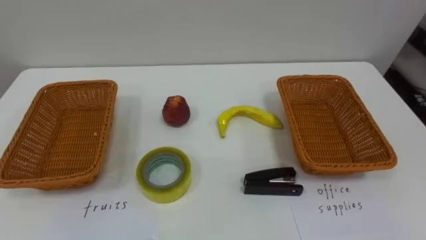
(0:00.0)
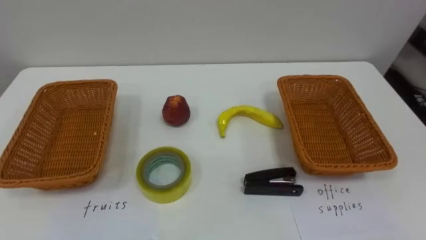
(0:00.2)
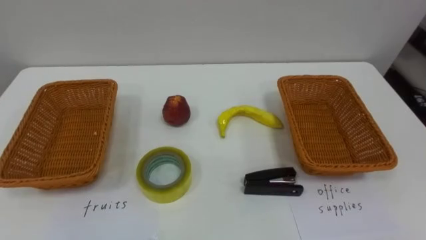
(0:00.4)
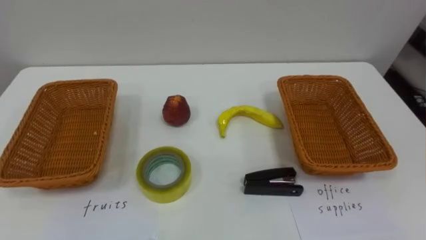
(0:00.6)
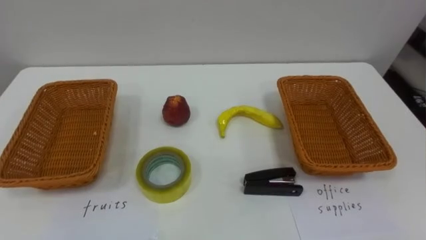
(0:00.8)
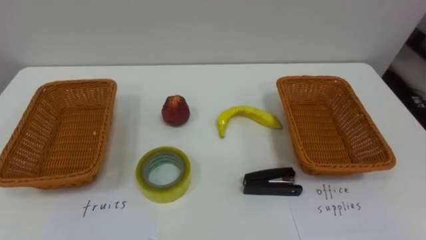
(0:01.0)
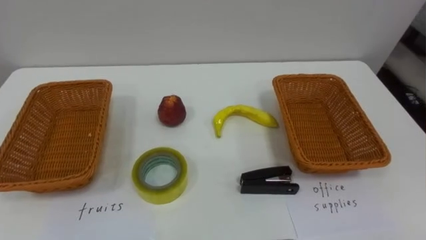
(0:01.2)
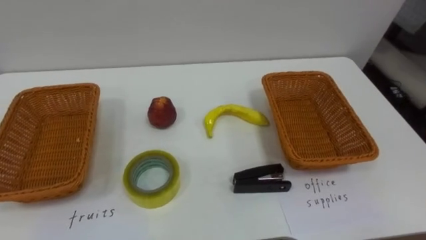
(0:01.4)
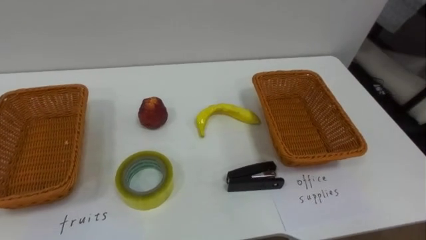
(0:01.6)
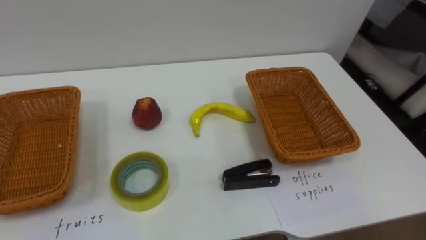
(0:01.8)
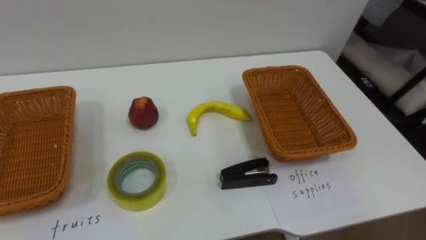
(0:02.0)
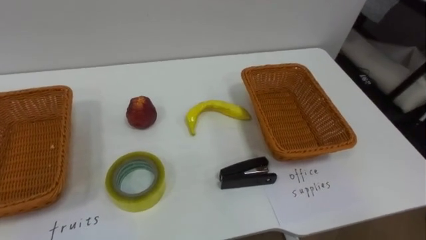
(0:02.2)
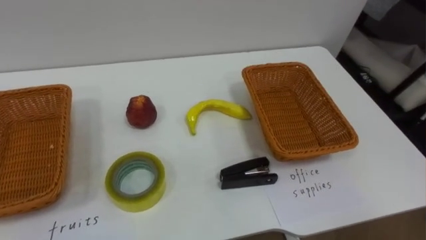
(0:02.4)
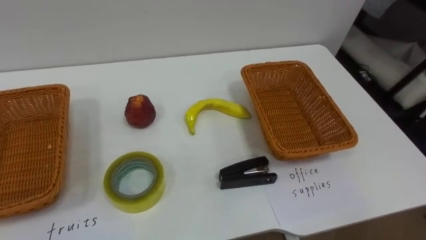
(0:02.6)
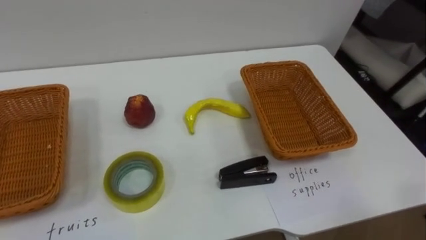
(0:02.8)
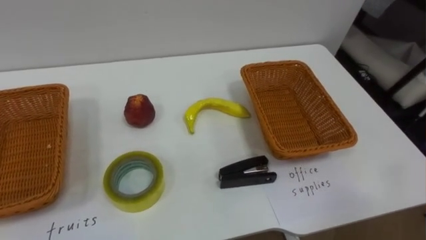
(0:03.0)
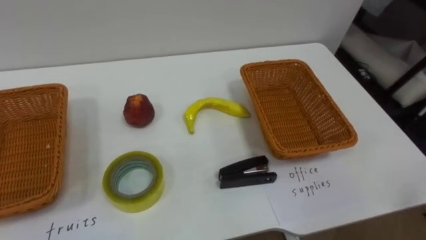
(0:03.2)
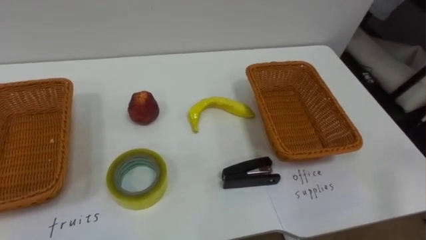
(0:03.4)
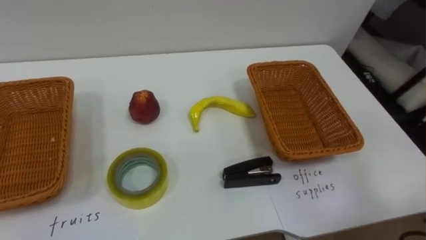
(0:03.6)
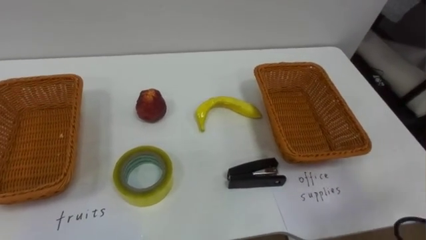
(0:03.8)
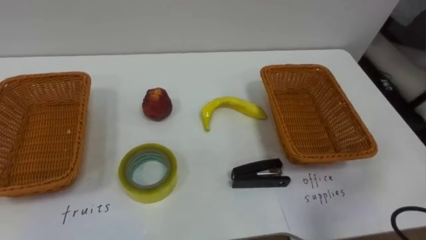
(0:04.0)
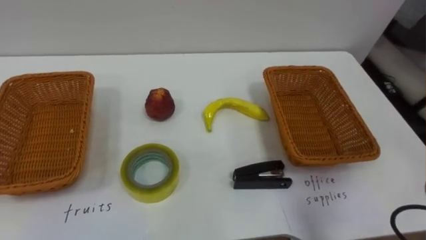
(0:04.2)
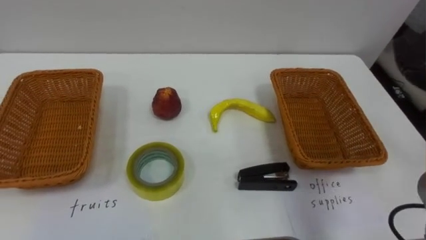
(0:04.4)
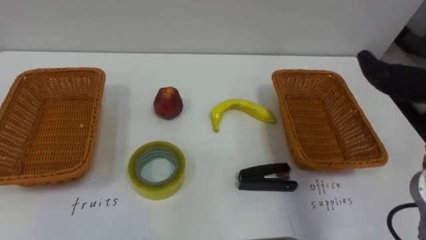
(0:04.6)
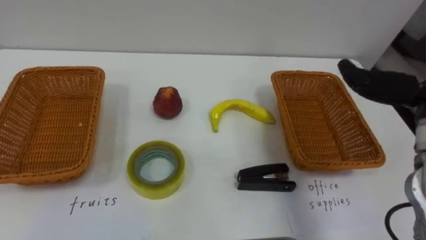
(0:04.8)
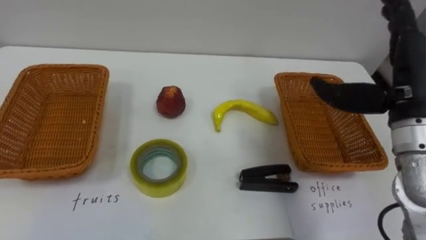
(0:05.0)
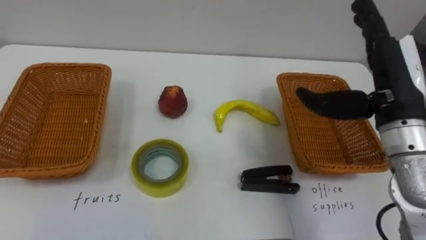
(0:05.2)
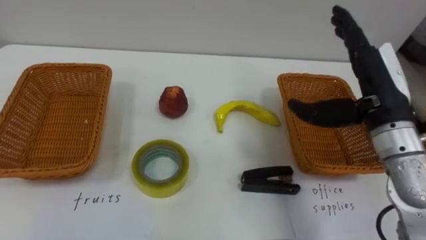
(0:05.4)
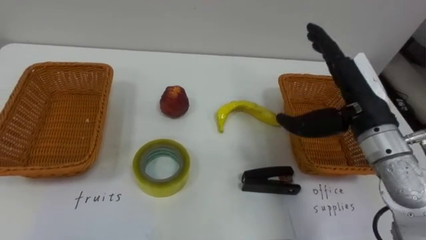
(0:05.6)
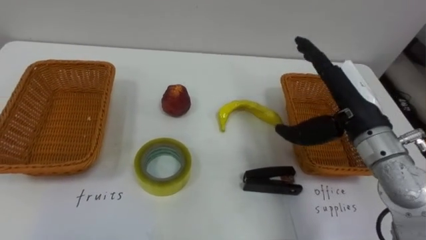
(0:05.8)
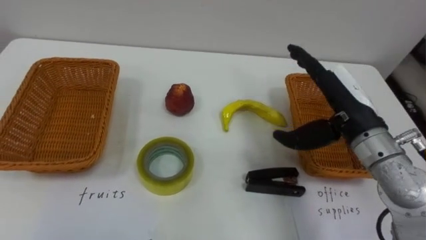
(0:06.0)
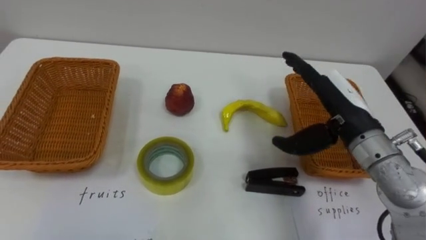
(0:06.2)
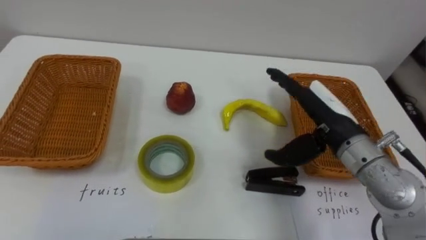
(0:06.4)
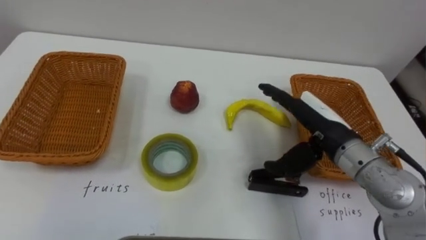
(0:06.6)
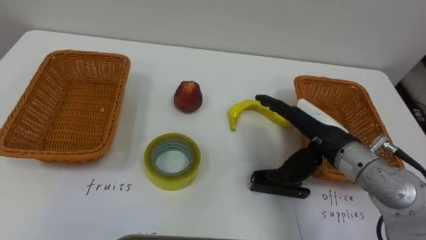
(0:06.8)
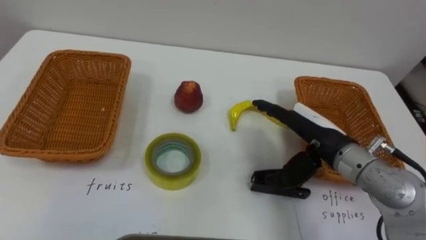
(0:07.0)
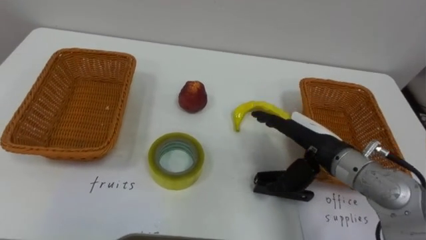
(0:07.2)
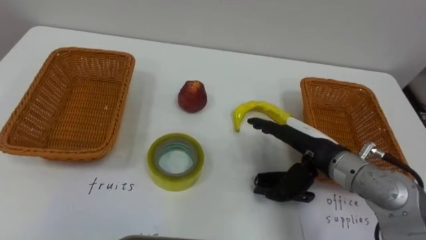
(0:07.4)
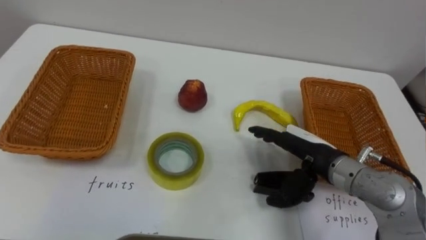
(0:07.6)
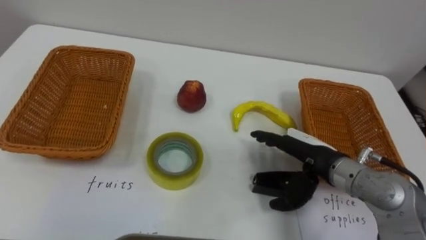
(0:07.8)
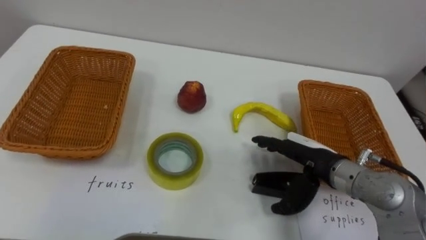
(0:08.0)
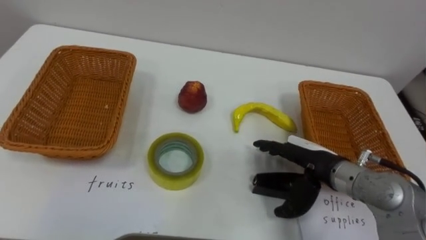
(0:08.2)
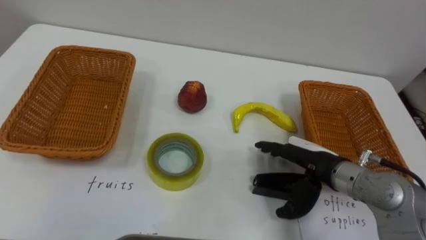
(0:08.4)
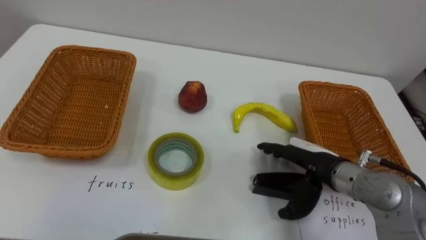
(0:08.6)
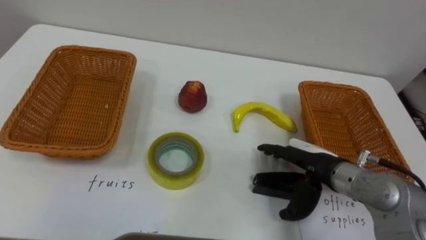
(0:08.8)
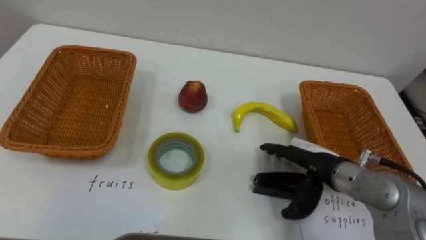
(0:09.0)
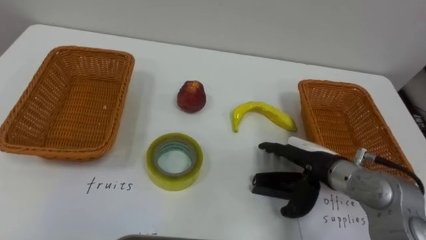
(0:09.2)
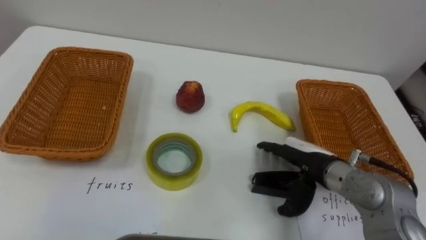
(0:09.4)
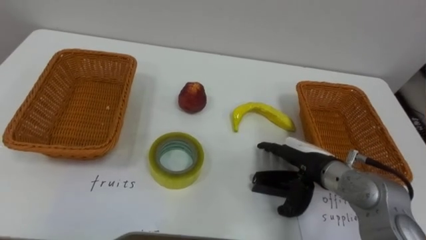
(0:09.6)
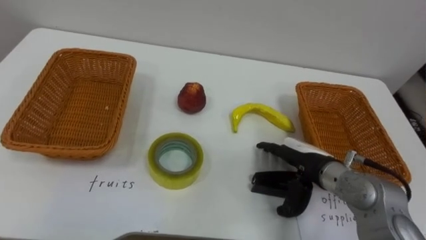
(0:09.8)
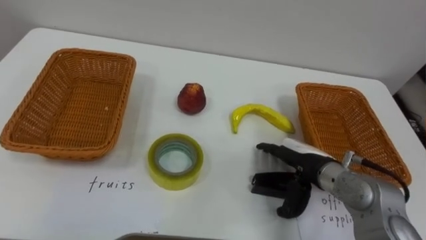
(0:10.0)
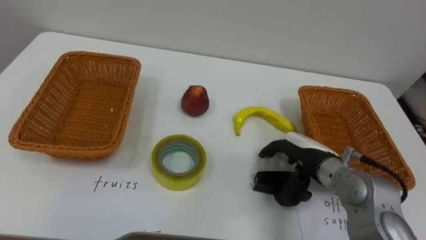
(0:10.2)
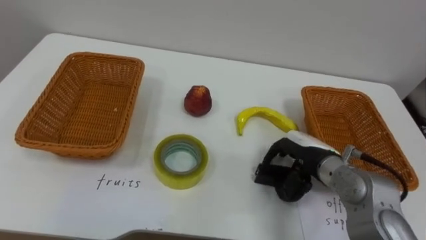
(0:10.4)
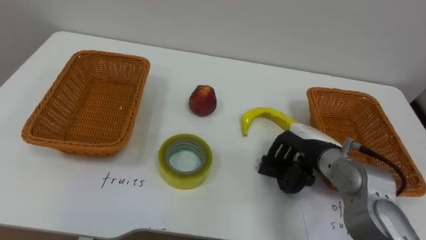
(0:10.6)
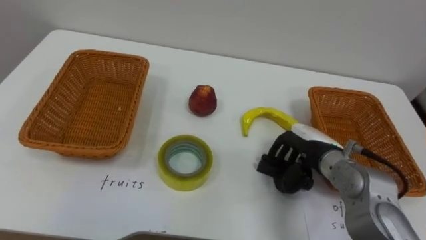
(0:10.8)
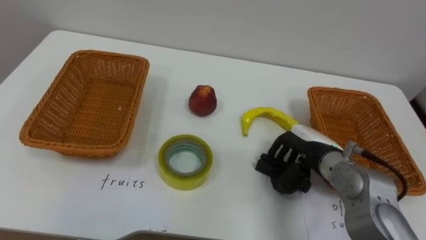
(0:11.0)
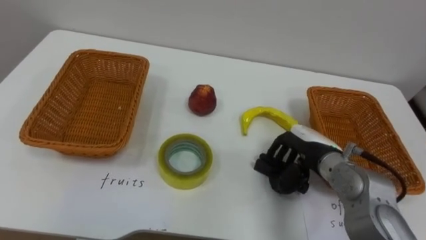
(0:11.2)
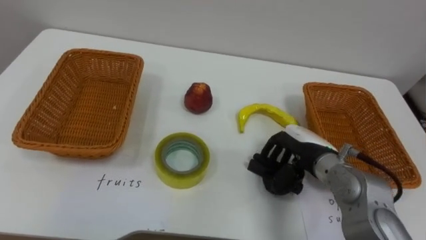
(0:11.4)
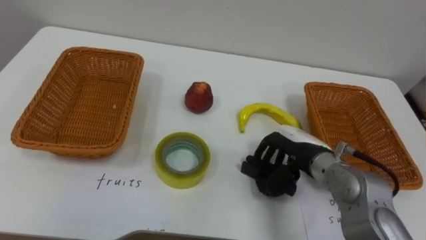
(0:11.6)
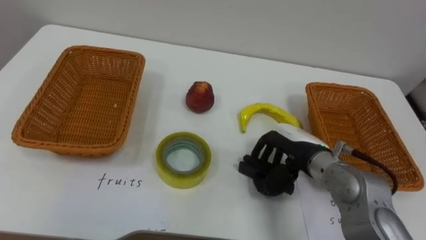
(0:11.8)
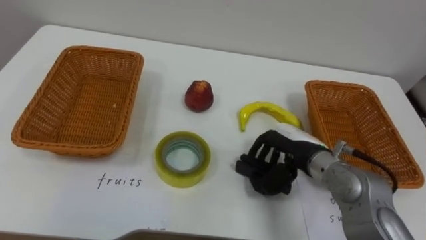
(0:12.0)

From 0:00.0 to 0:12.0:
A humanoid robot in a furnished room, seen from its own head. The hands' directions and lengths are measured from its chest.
Task of the whole recording: Separate the items on the table and place them into the two baskets.
From 0:06.0 to 0:07.6: The right hand travels downward by roughly 10 cm.
From 0:09.0 to 0:10.4: The right hand closes up.

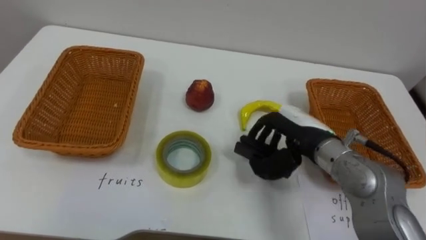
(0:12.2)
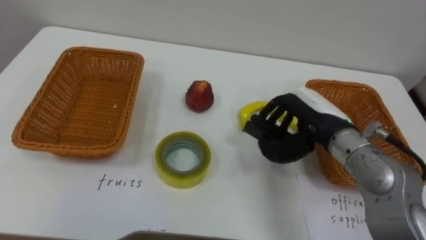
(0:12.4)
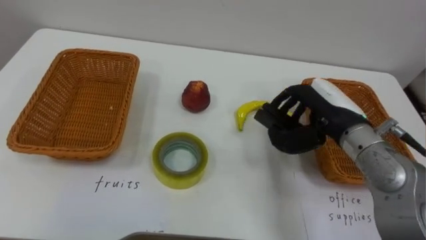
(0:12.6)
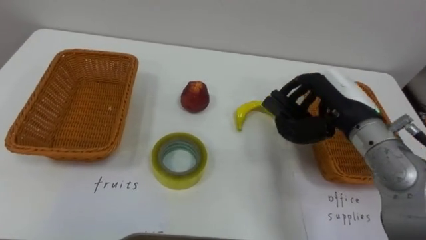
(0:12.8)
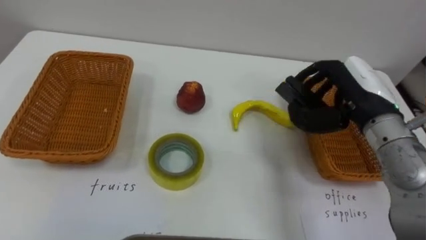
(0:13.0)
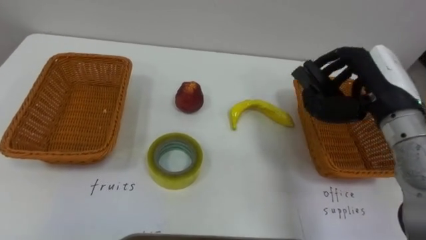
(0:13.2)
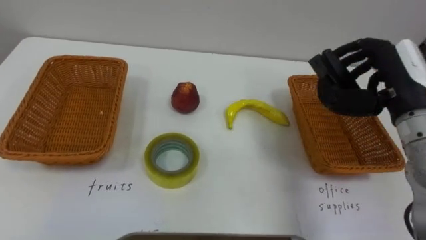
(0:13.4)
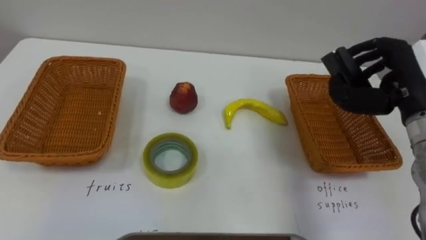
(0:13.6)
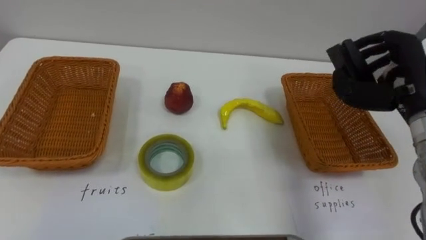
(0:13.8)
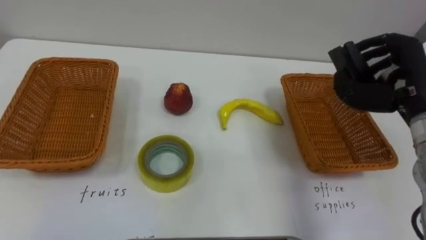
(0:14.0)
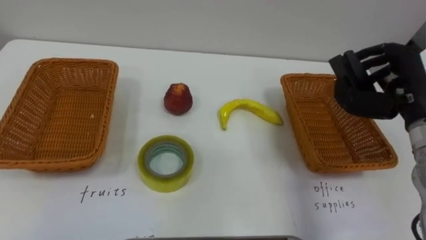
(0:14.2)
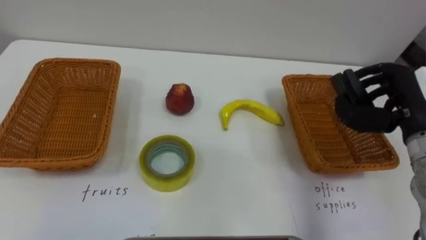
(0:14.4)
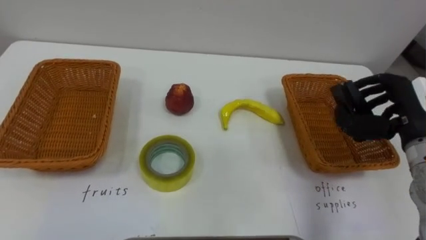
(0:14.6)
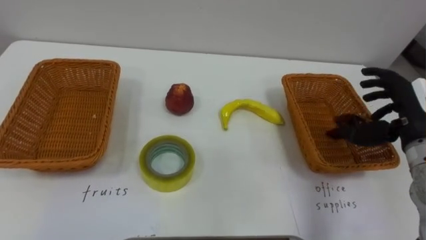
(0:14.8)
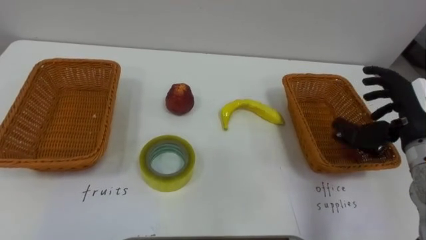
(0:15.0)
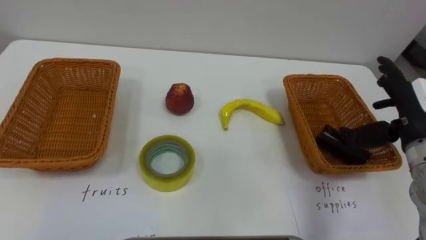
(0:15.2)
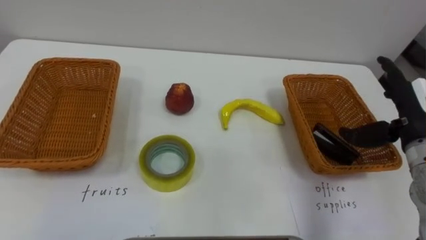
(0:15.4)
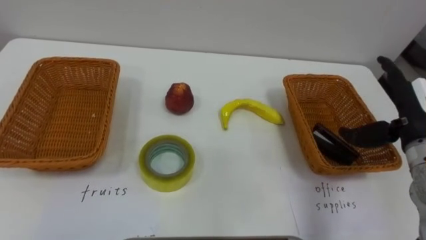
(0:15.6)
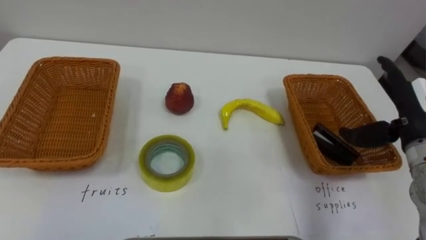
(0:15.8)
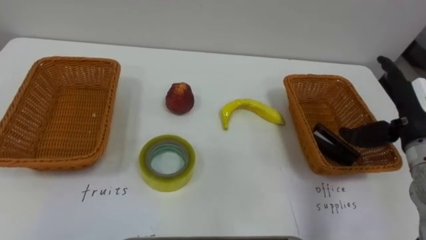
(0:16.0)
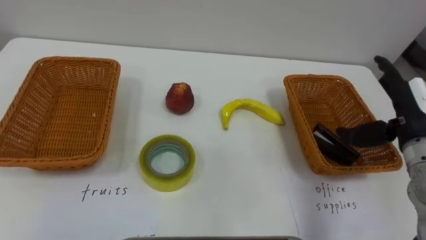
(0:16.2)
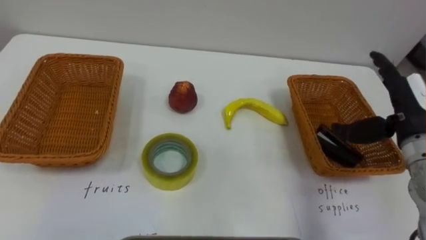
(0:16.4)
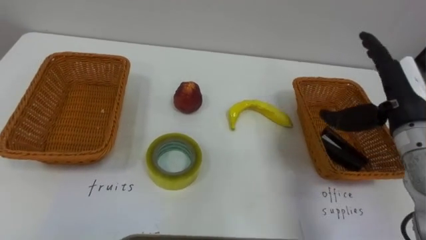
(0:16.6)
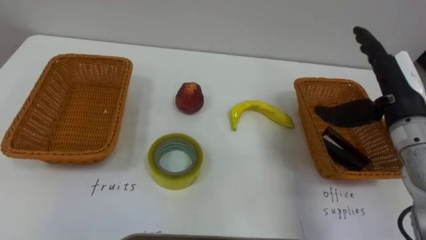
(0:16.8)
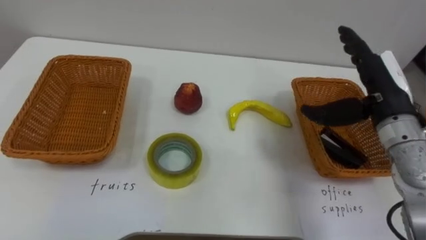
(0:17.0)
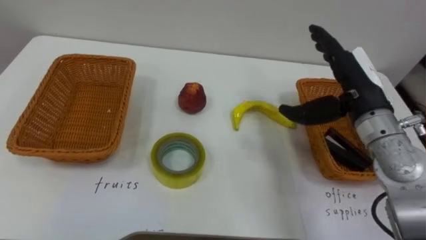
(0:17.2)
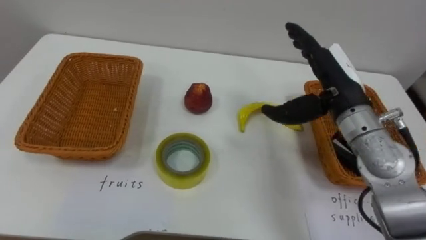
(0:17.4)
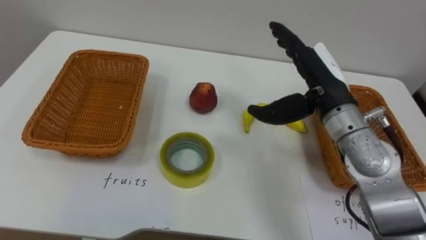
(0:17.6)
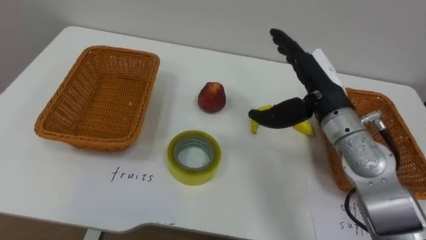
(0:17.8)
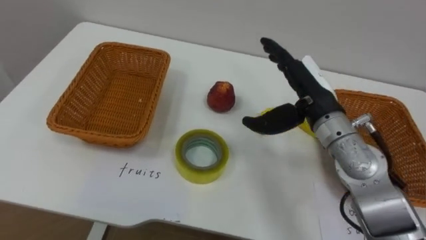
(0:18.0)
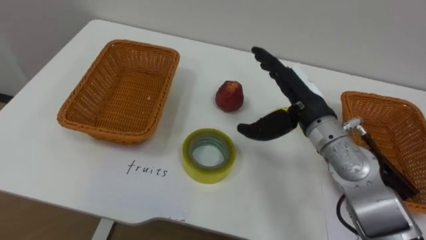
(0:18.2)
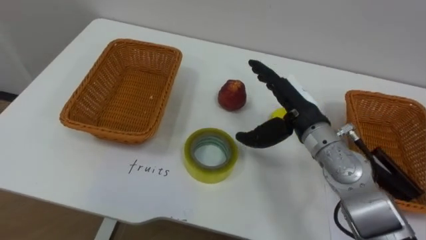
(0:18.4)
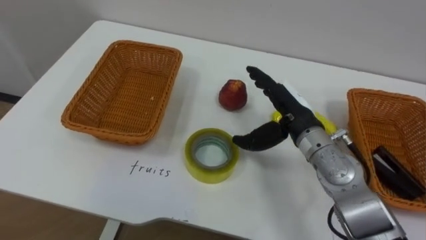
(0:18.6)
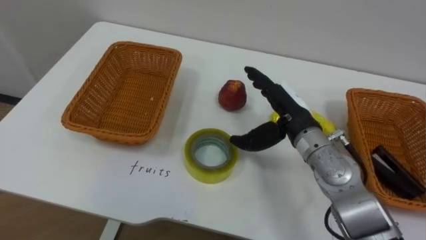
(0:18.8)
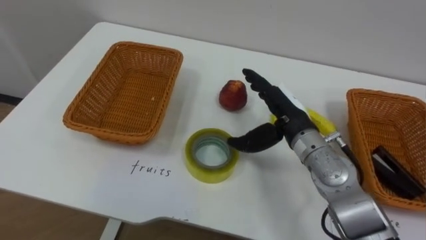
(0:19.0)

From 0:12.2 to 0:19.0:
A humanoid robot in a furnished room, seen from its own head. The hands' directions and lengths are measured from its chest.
Task of the whole recording: Separate the items on the table and place them into the two baskets.
From 0:12.2 to 0:13.6: The right hand moves to the right and upward, approximately 15 cm.
From 0:13.6 to 0:15.0: The right hand moves downward, approximately 5 cm.
From 0:16.2 to 0:17.6: The right hand travels to the left by approximately 15 cm.
From 0:17.6 to 0:19.0: The right hand moves downward, some 5 cm.
